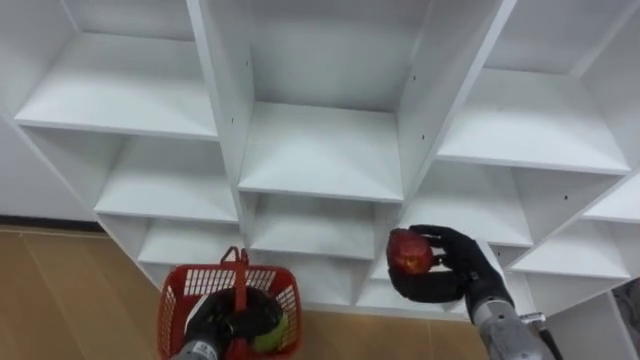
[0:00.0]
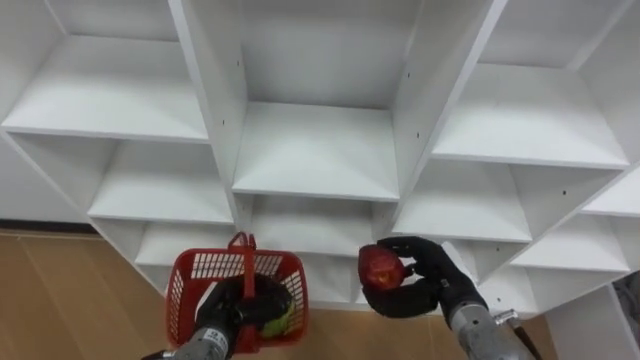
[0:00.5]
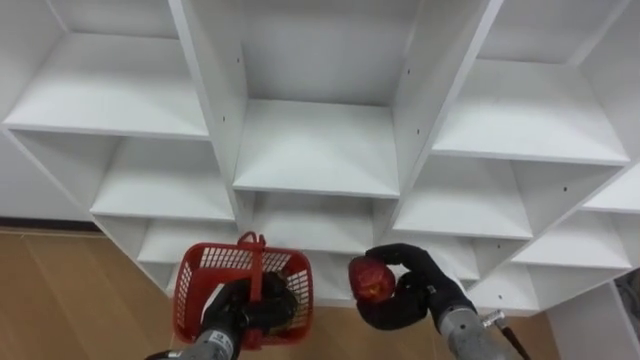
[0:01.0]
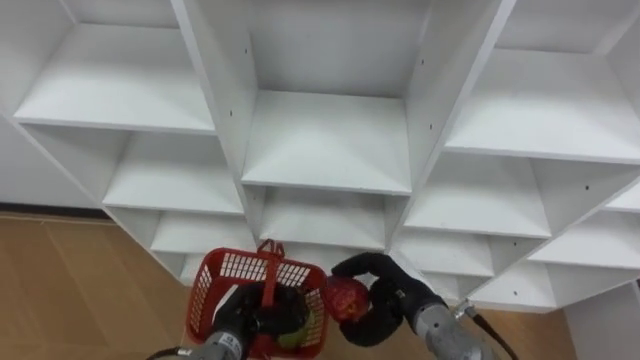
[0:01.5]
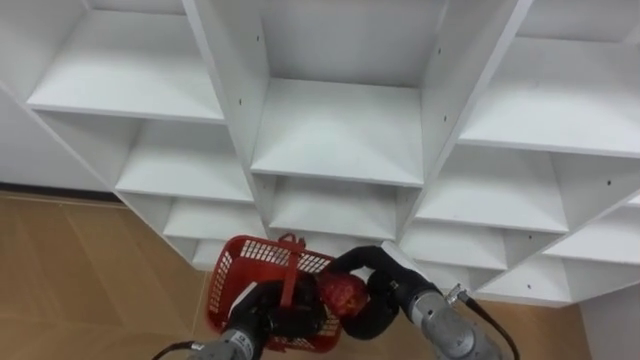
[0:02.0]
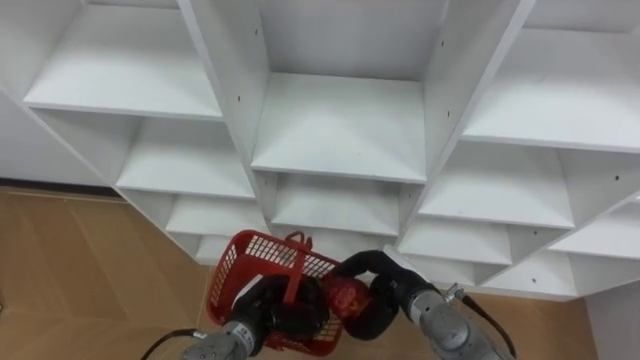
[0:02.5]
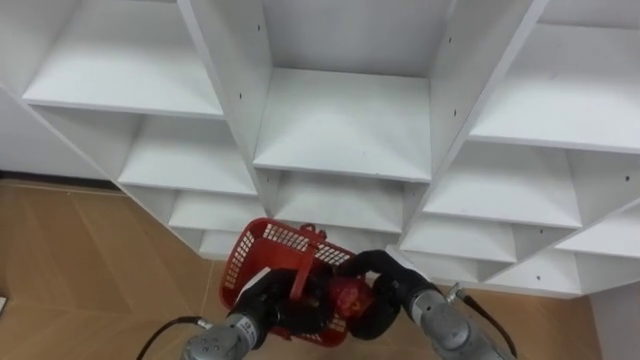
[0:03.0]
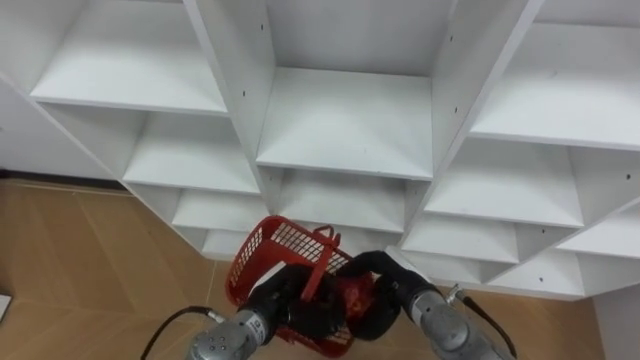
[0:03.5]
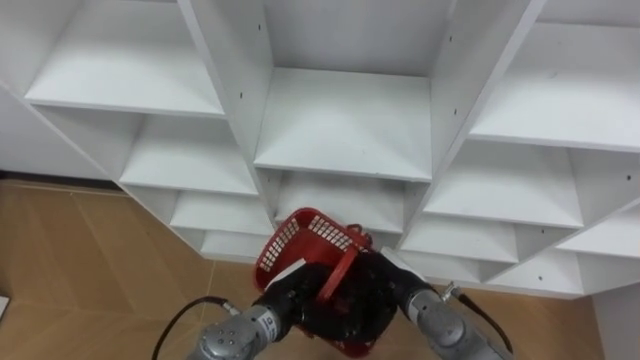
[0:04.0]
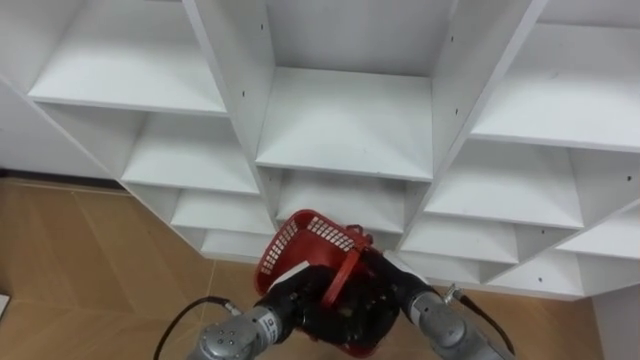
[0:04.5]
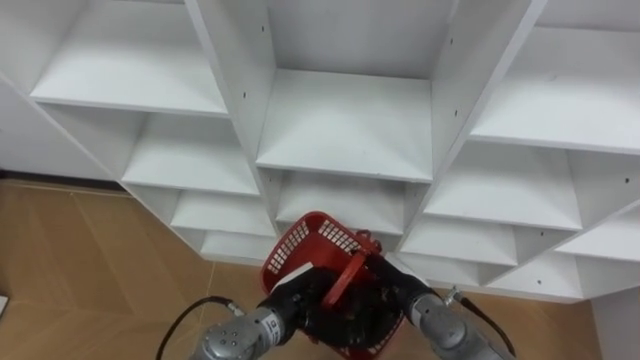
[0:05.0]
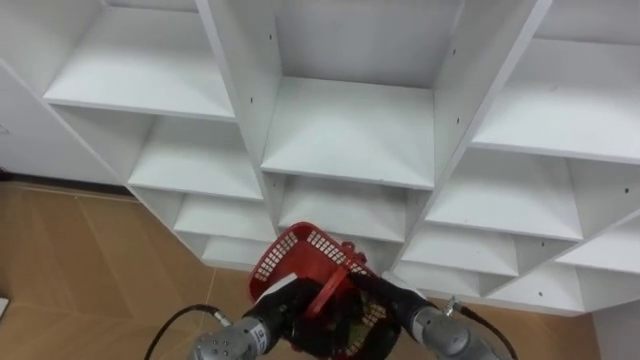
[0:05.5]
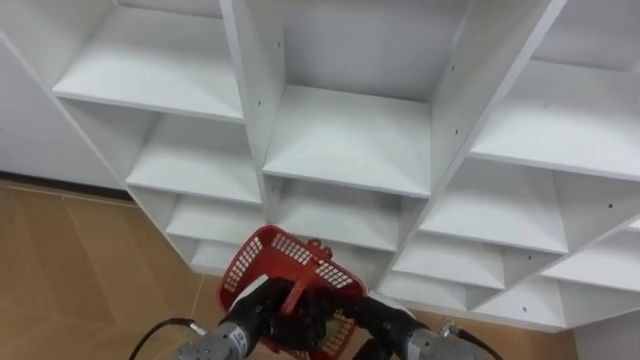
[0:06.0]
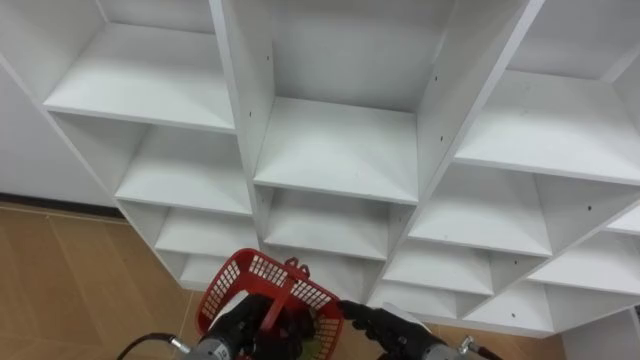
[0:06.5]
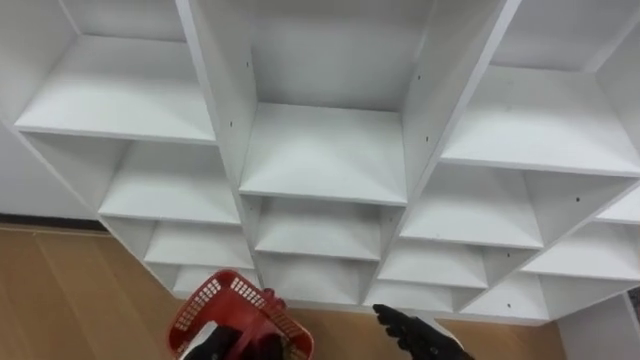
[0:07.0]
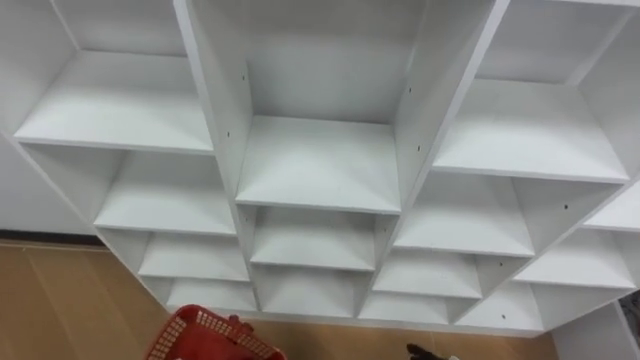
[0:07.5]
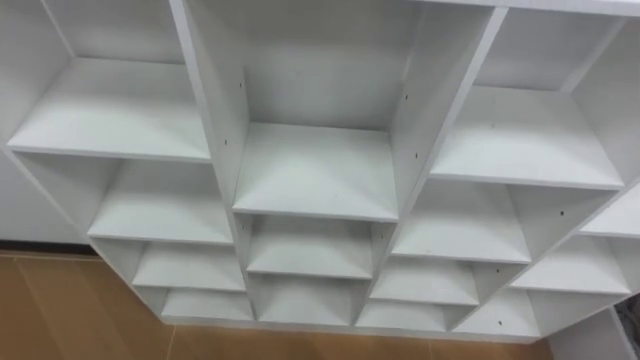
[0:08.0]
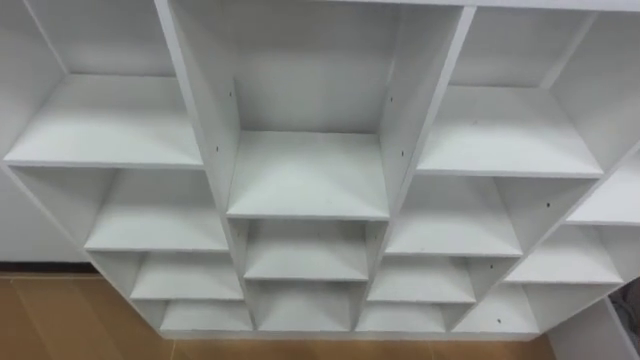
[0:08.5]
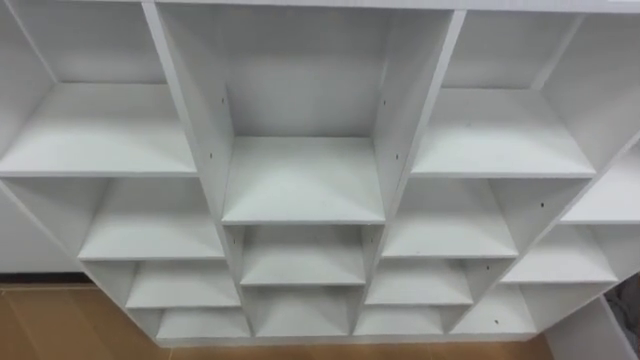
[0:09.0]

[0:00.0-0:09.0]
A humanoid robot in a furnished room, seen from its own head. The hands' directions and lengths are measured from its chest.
Task of the whole recording: Hold the basket and collect the fruits from 3 different cells of the closet into it.
0:00.0 to 0:02.0: The right hand is displaced to the left by about 10 cm. The left hand heads to the right, covering approximately 5 cm.
0:02.0 to 0:04.5: The left hand is displaced to the right by some 5 cm. The right hand opens up.
0:04.5 to 0:07.0: The left hand travels to the left, downward and backward by roughly 15 cm. Meanwhile the right hand moves backward, some 10 cm.
